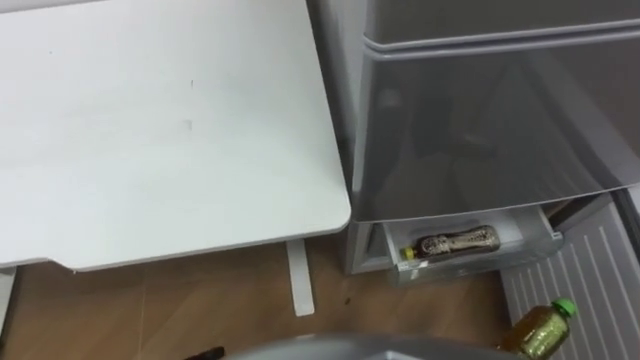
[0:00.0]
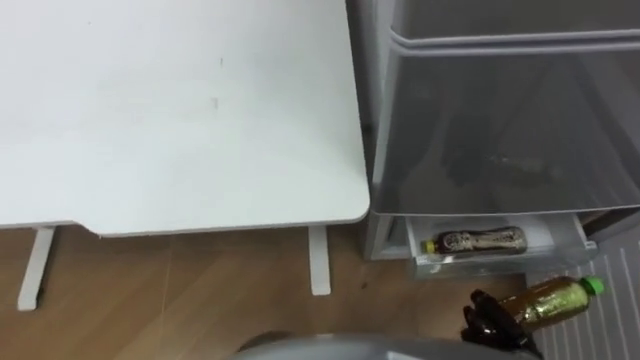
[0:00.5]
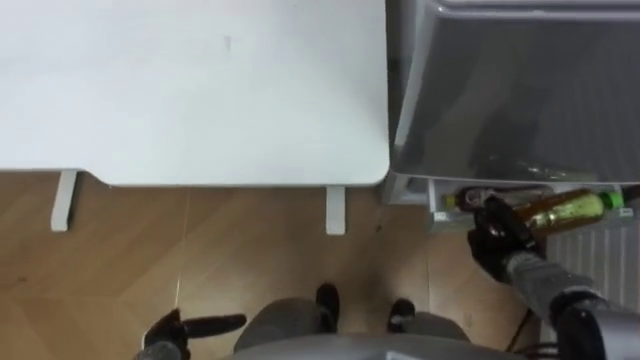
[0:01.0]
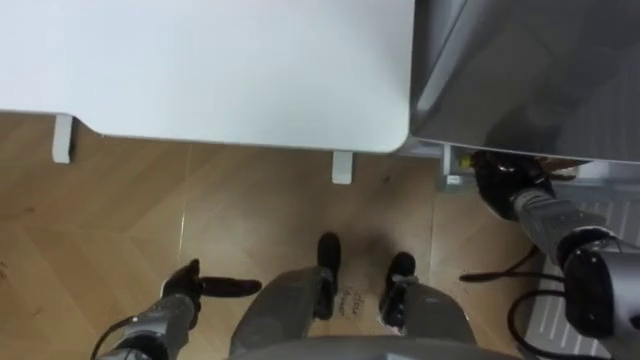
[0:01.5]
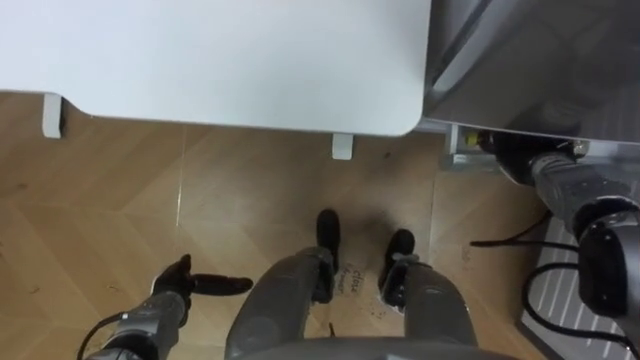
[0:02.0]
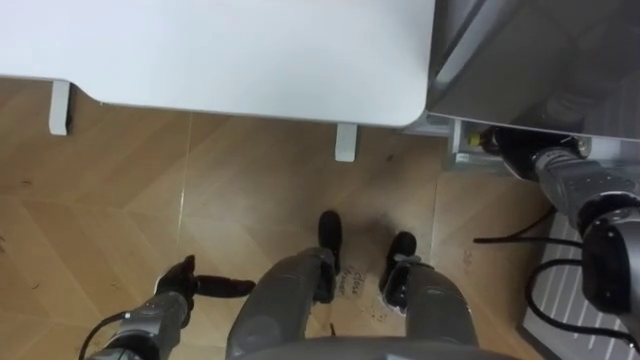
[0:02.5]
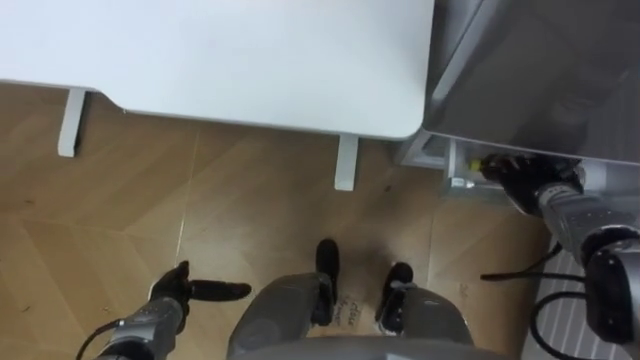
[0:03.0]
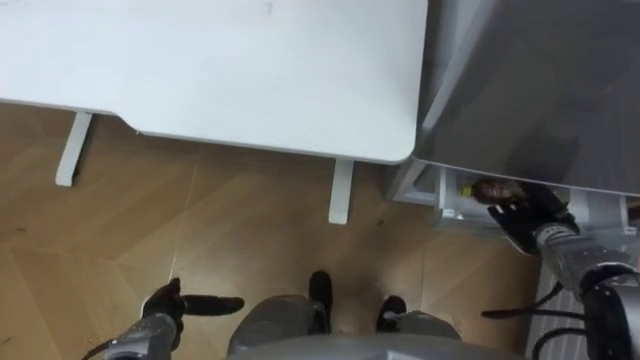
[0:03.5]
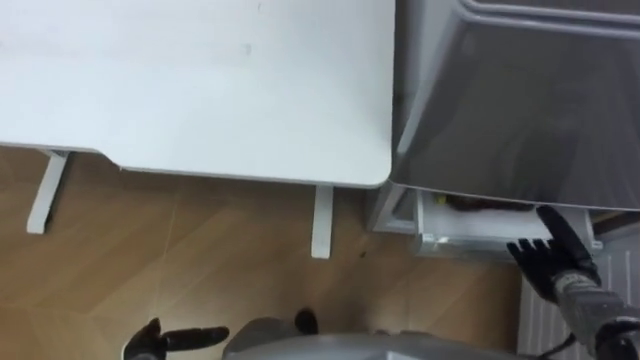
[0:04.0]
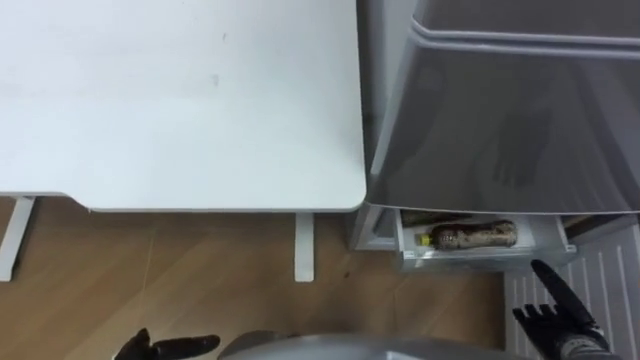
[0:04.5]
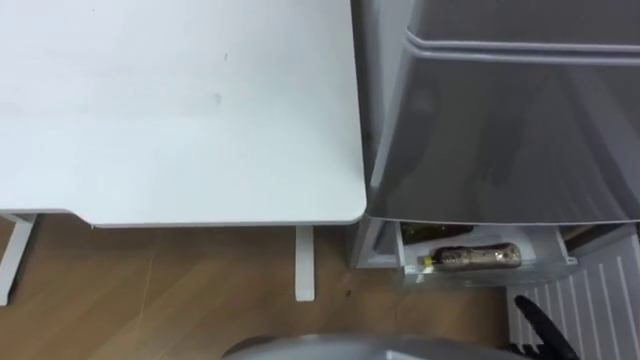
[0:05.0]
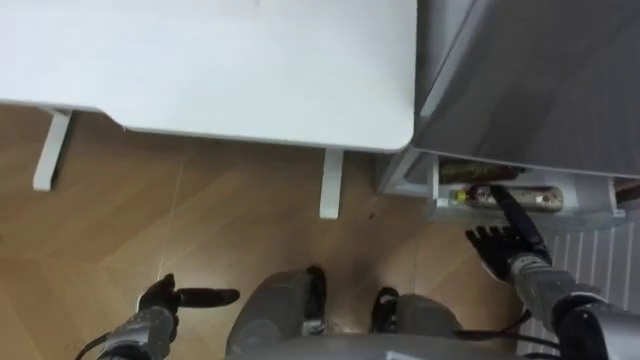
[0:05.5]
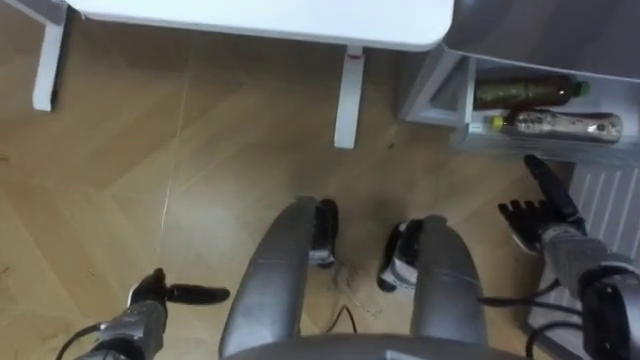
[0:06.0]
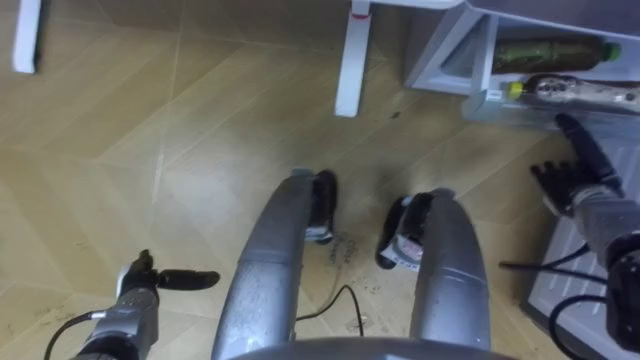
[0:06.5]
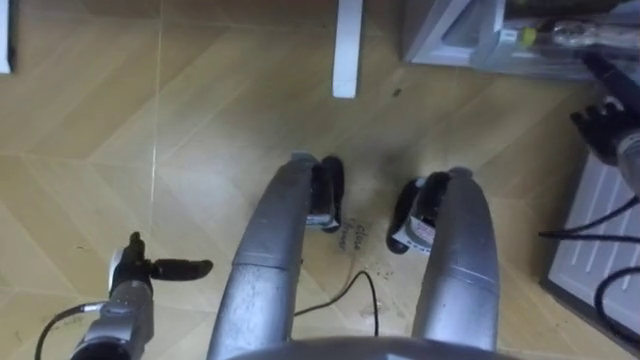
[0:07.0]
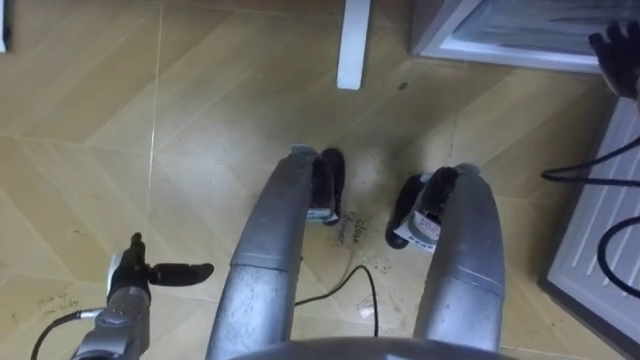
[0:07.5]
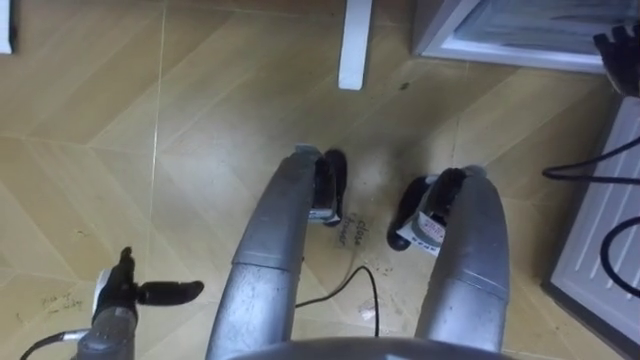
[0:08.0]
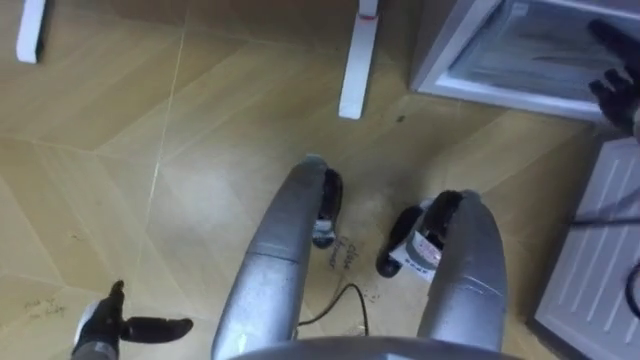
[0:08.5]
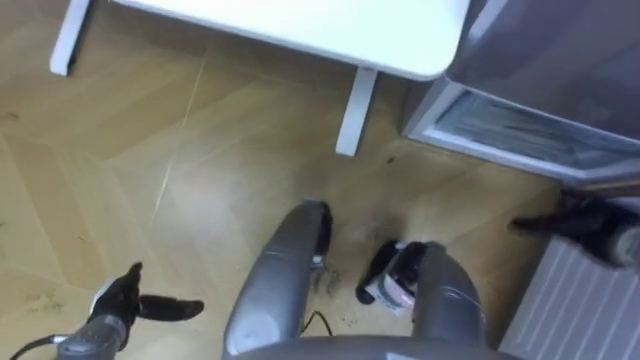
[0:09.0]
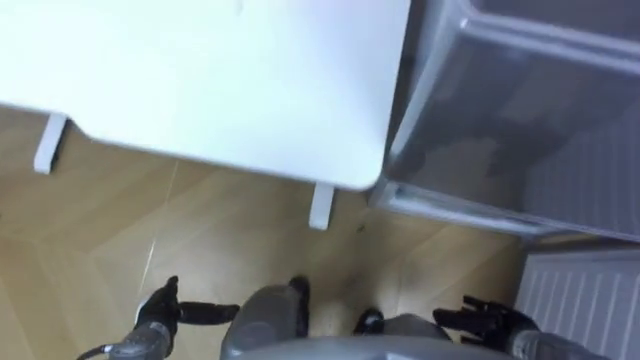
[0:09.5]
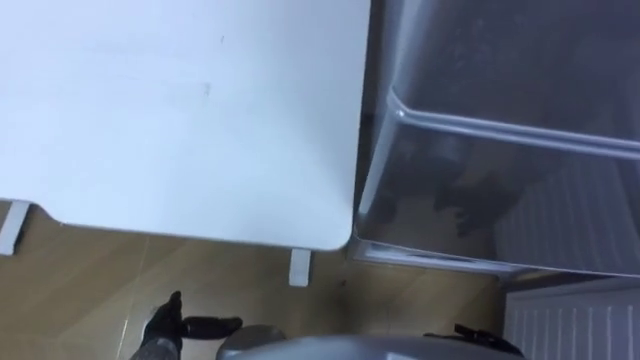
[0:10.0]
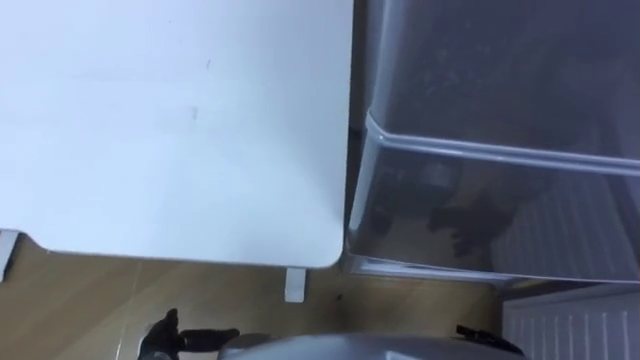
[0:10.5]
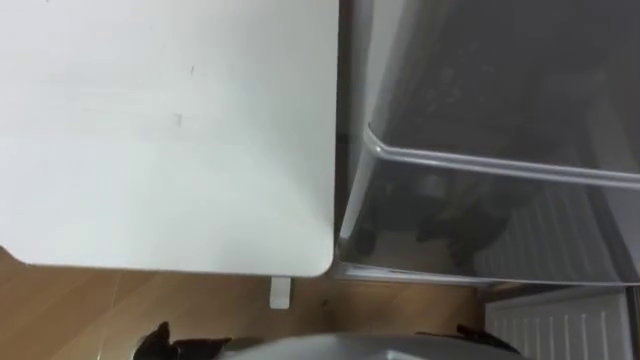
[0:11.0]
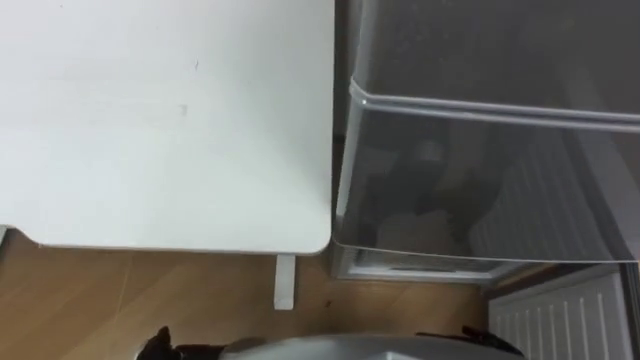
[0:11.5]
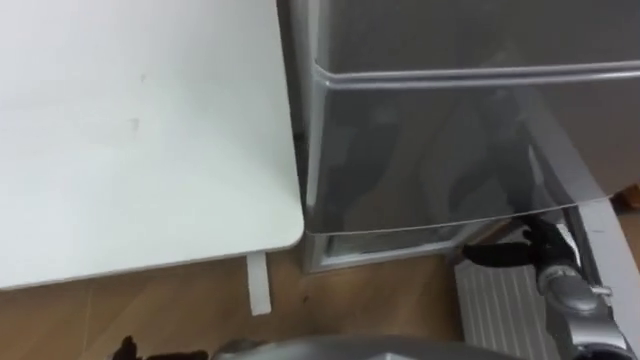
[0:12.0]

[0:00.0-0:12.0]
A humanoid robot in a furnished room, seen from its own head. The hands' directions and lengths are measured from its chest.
Task of the whole recording: Place the drink on the table on the bottom shelf of the refrigerator, then close the drawer and the refrigerator door.
0:02.0 to 0:04.0: The right hand is displaced backward and downward by roughly 15 cm, and opens. Meanwhile the left hand travels backward by approximately 10 cm.
0:06.0 to 0:08.0: The right hand travels upward and forward by roughly 25 cm.
0:08.0 to 0:10.0: The left hand shifts approximately 5 cm to the right.

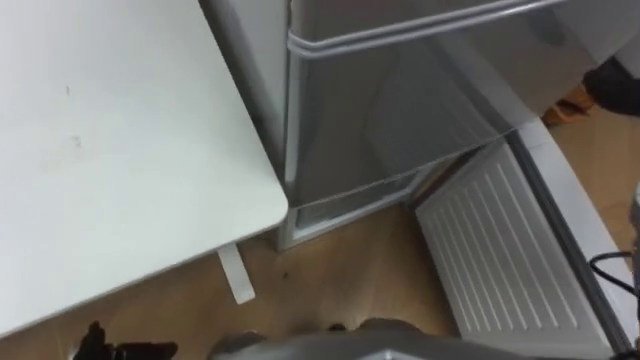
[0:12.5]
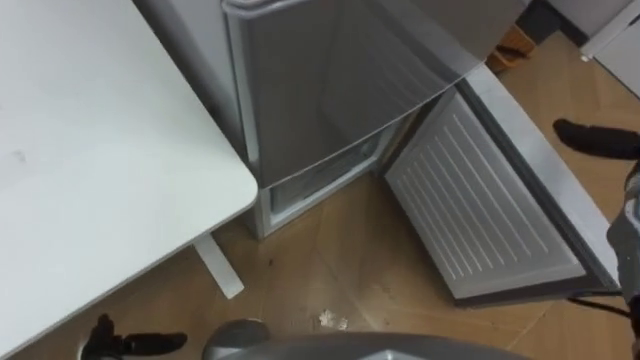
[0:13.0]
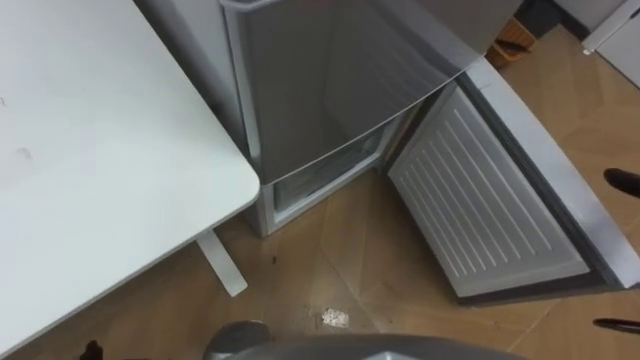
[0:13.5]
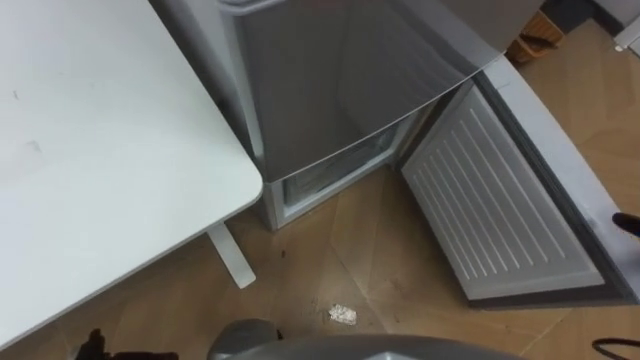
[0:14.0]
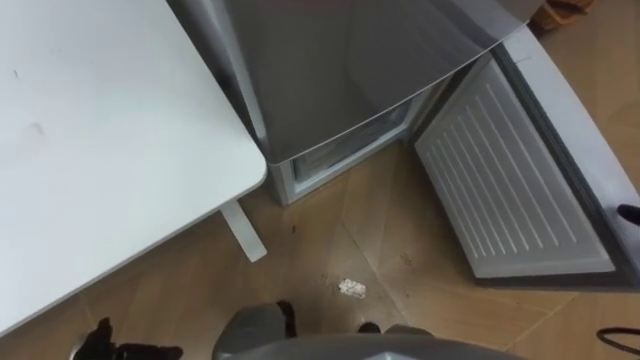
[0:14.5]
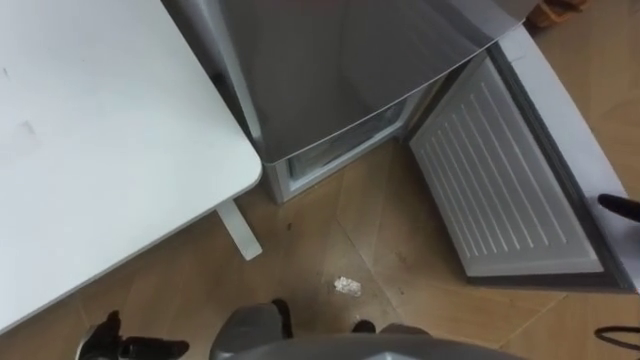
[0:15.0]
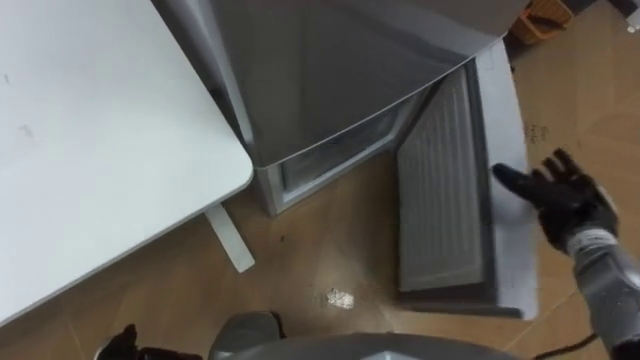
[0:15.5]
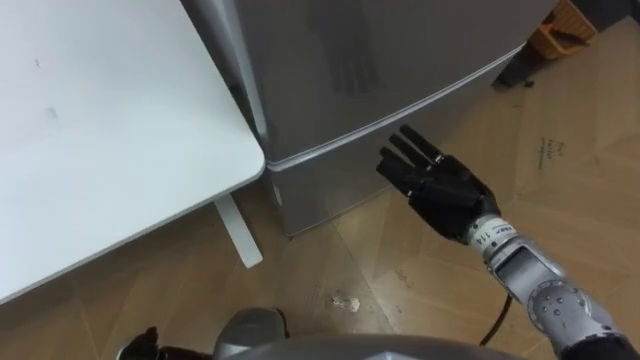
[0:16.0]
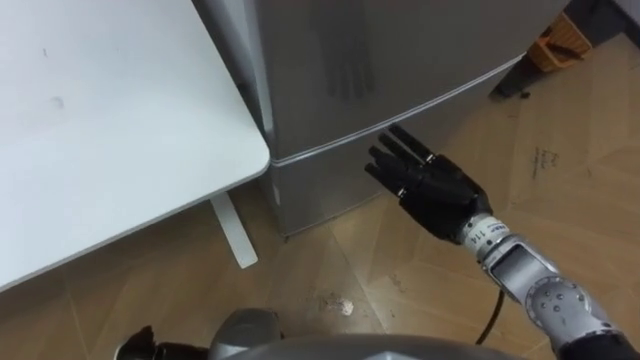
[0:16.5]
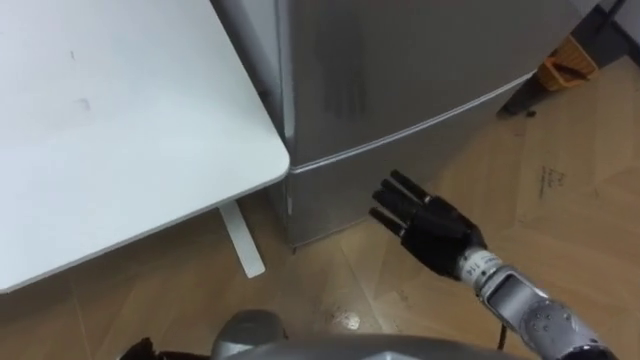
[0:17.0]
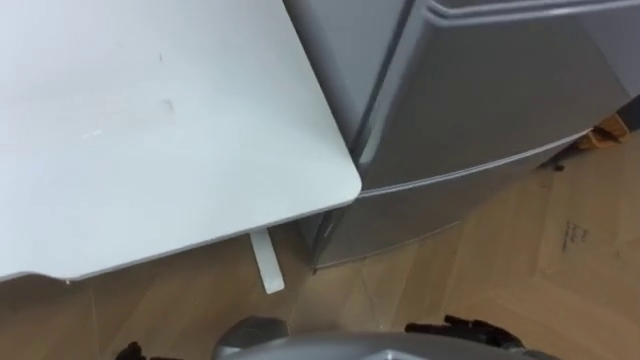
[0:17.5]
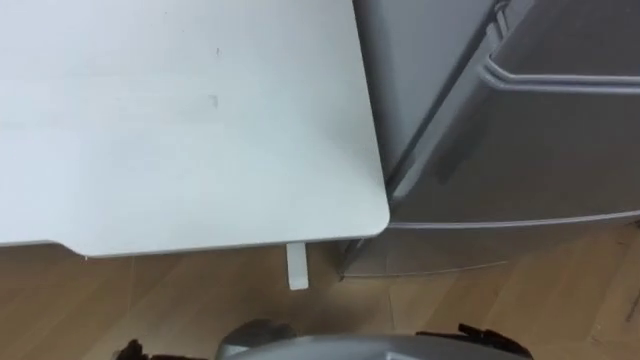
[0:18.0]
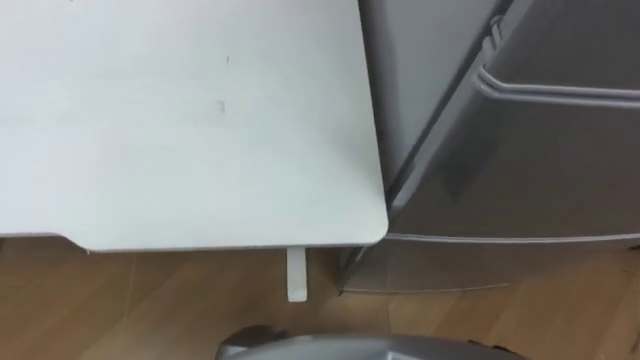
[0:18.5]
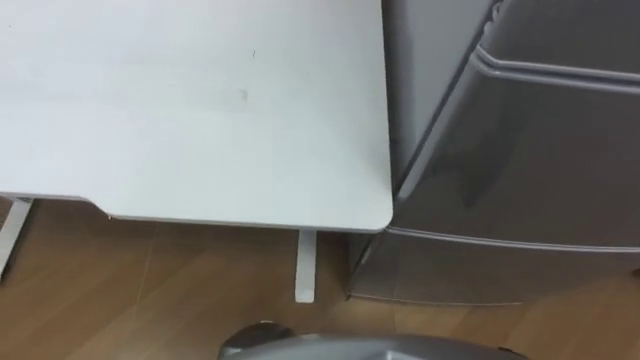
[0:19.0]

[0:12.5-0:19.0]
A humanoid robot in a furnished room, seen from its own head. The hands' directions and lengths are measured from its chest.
Task of the whole recording: Place the drink on the table on the bottom shelf of the refrigerator, then close the drawer and the refrigerator door.
0:17.0 to 0:19.0: The robot's body swings roughly 30 degrees to its left.

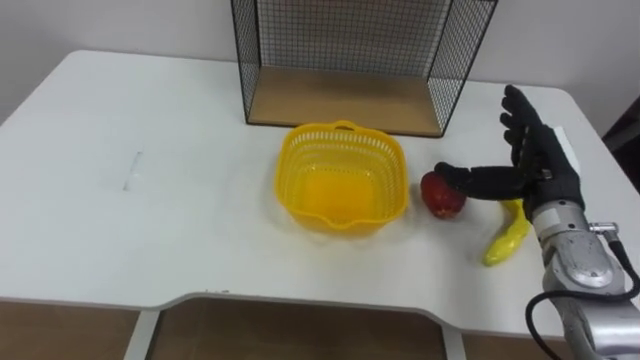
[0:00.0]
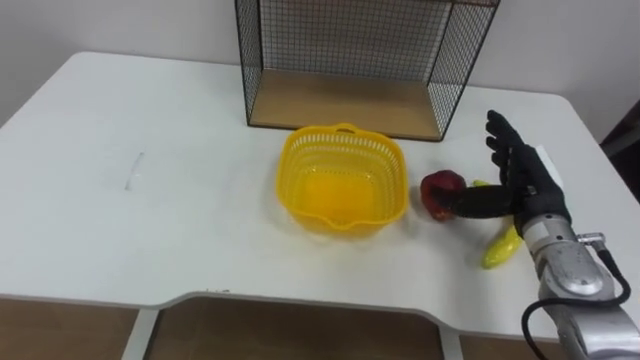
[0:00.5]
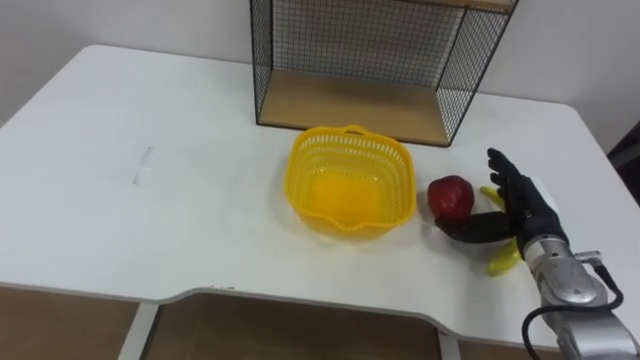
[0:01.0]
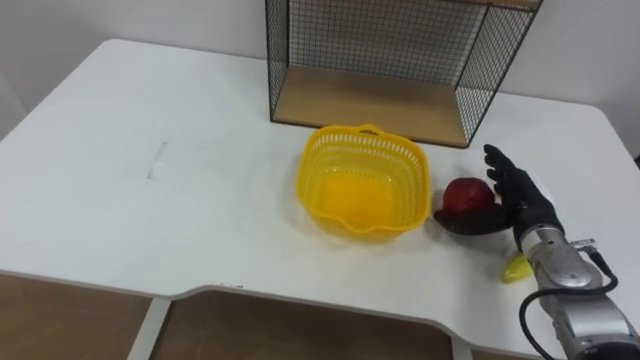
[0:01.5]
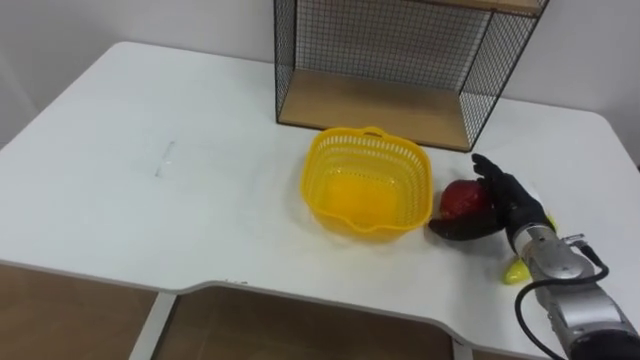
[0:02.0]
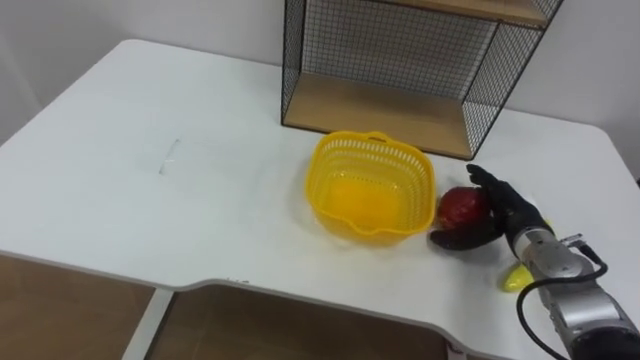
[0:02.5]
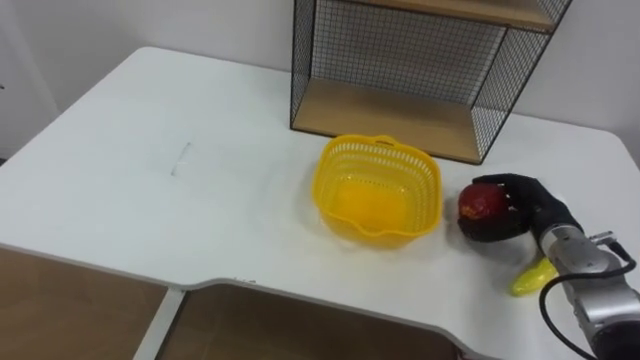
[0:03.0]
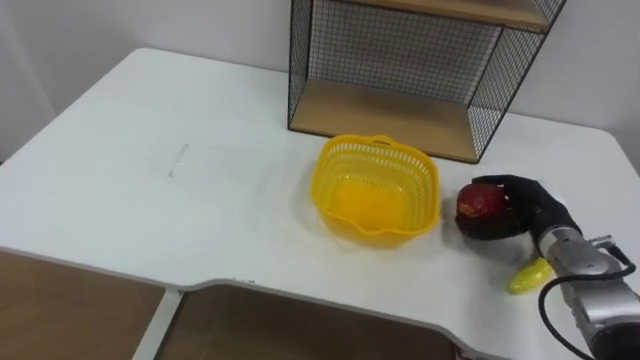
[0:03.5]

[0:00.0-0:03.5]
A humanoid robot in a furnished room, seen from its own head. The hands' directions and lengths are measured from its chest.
Task of the whole recording: Put the fruit on the table into the basket, then place the basket on the shelf.
0:00.0 to 0:02.0: The right hand moves downward, some 10 cm.
0:02.0 to 0:03.5: The right hand closes its fingers.
